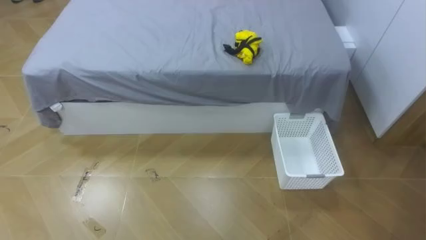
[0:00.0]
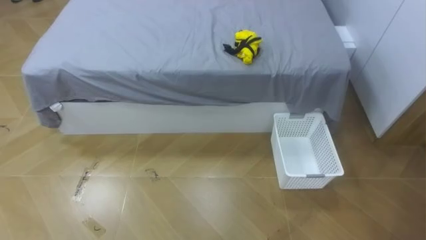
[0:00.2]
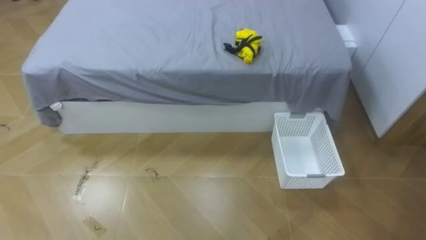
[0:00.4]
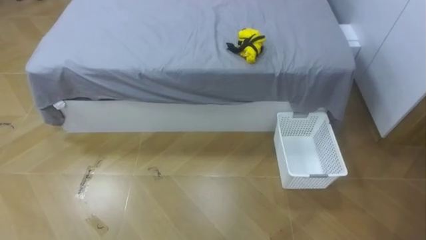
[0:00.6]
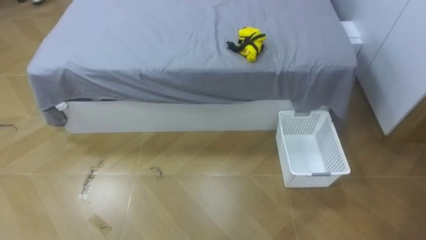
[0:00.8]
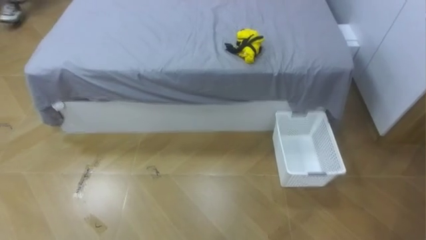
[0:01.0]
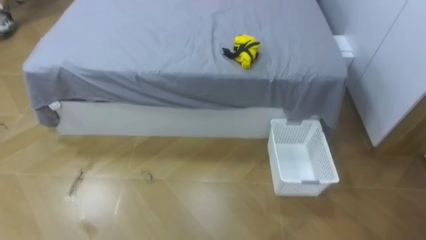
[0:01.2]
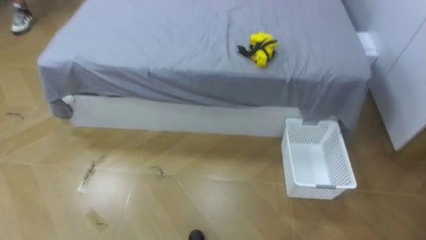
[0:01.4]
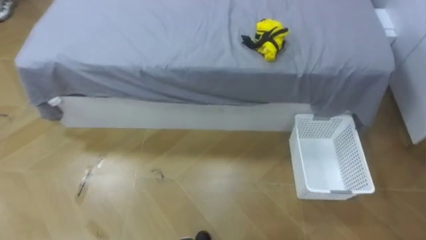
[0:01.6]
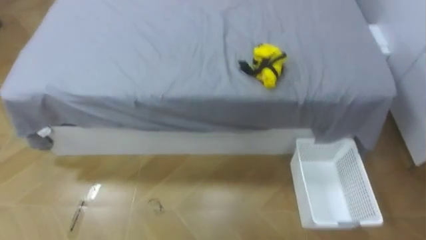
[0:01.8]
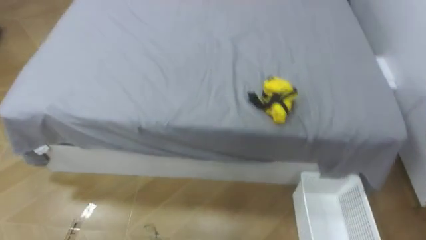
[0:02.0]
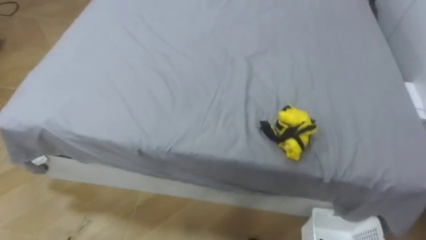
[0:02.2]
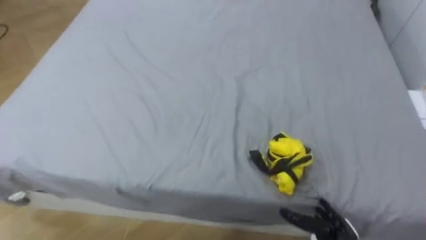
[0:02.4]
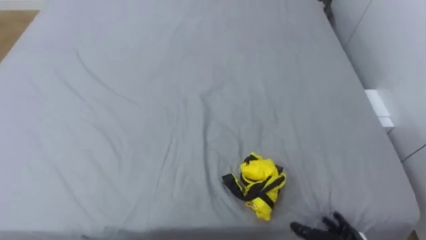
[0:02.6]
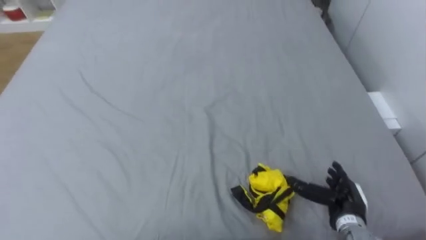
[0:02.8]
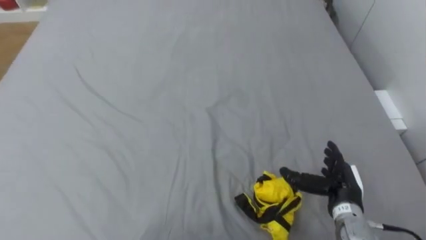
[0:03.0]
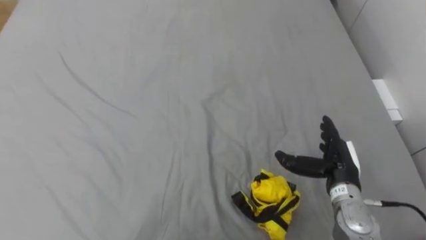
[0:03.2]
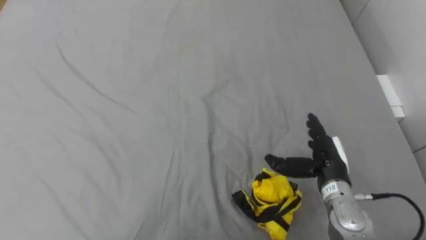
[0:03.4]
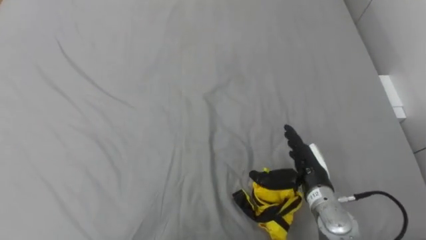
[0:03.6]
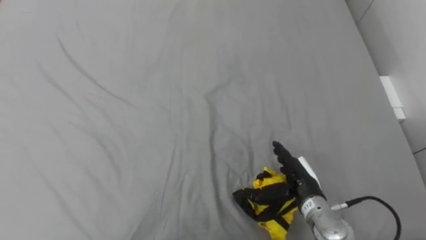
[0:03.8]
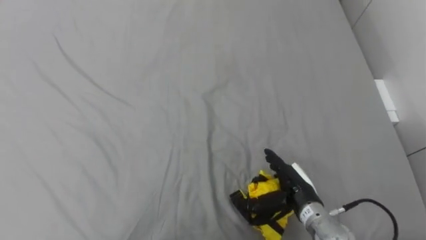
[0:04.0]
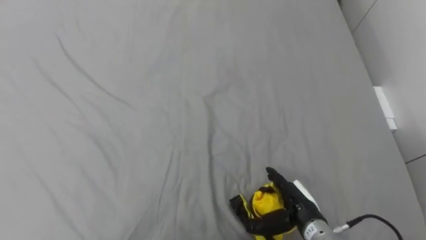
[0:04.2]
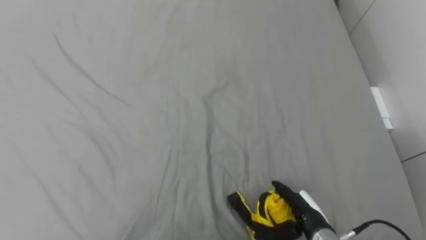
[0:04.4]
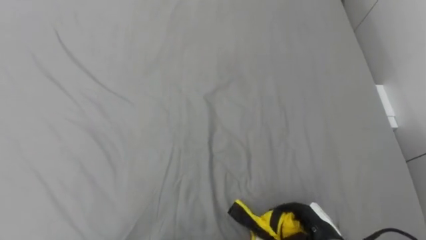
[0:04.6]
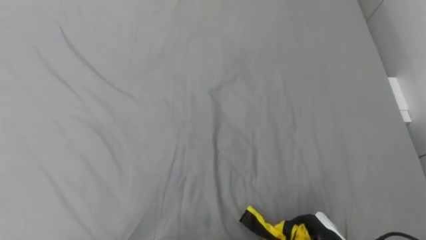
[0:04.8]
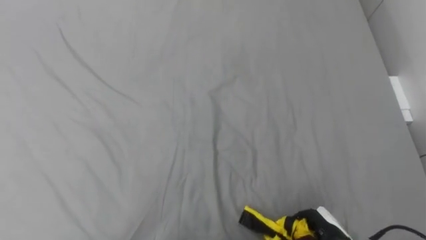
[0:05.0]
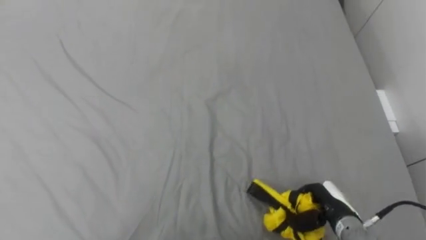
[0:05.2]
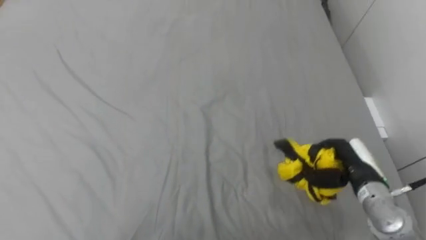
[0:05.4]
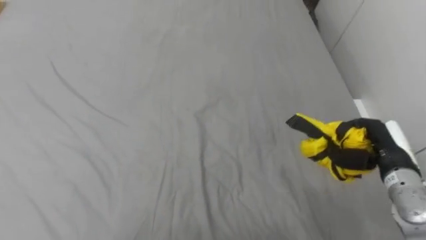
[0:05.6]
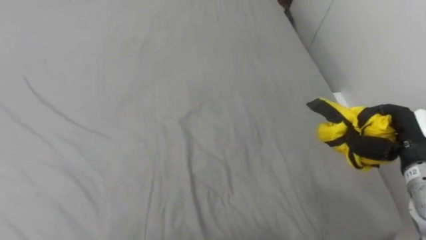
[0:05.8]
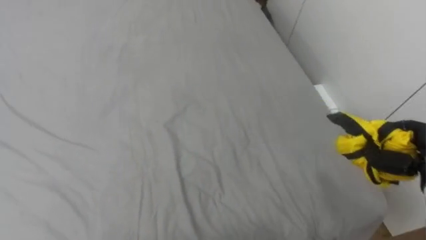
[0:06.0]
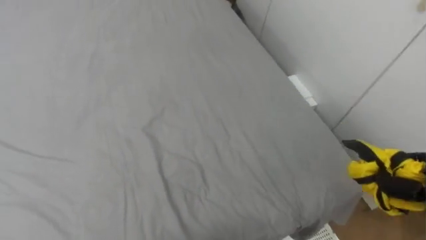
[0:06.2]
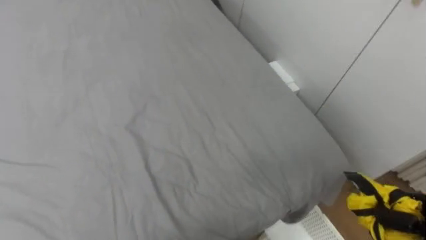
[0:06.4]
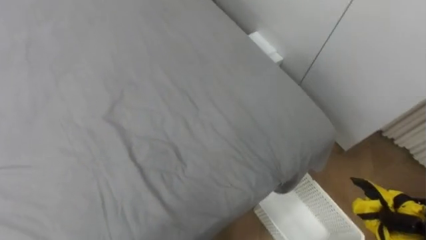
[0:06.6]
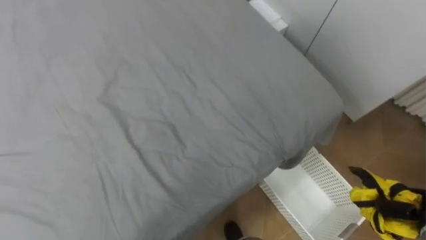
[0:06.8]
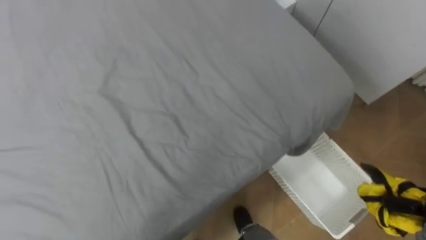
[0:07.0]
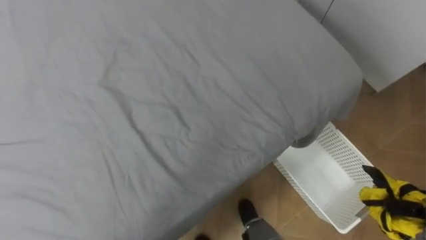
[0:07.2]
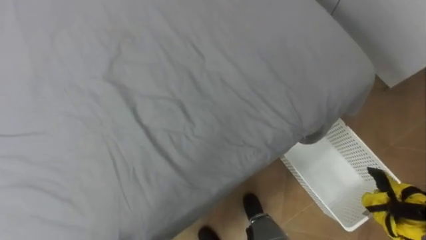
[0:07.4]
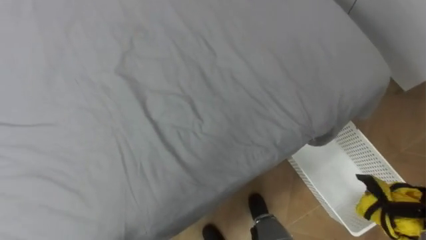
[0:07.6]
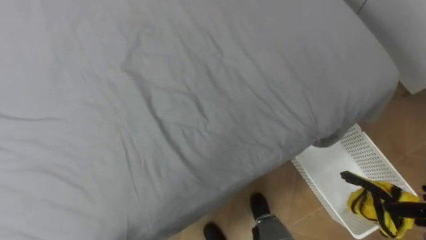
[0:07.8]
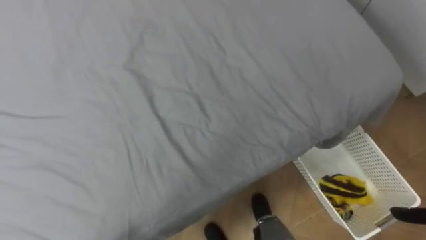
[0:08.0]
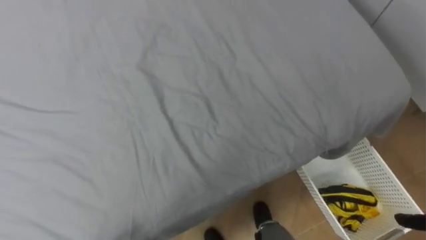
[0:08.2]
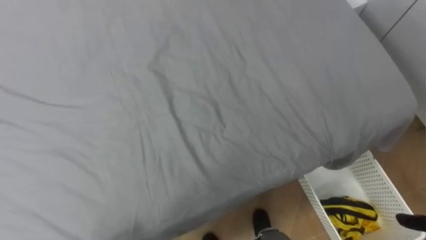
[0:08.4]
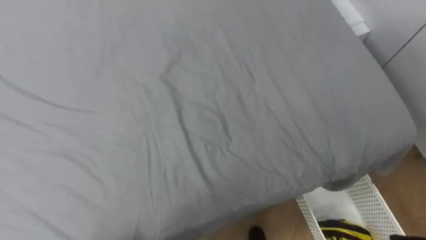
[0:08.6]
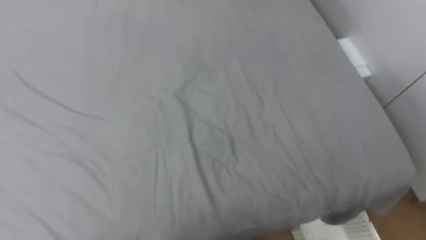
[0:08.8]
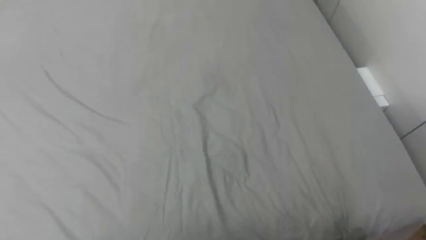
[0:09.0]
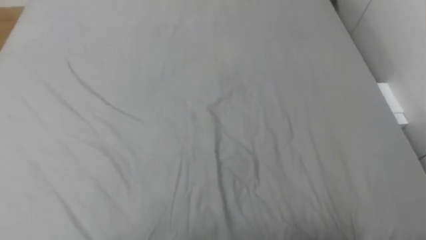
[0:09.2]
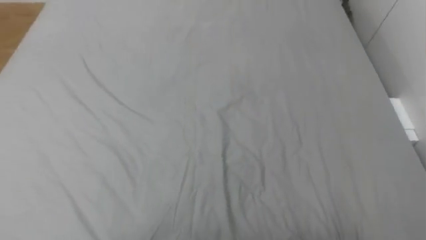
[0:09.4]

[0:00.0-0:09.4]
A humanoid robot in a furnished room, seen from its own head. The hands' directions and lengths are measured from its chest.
Task of the whole recording: Pick up the yellow clothes on the bed and place them into the white basket on the right.
0:07.8 to 0:09.4: The robot turns to its left by approximately 20 degrees.

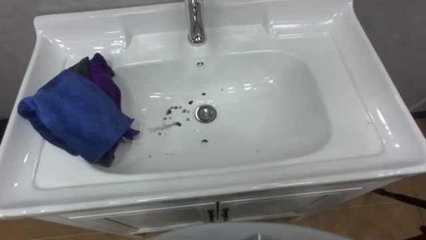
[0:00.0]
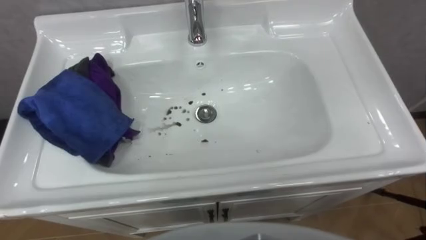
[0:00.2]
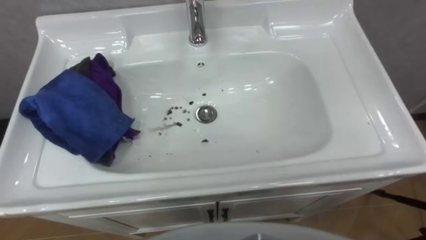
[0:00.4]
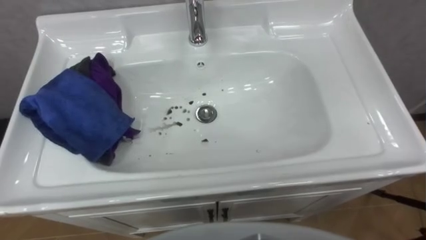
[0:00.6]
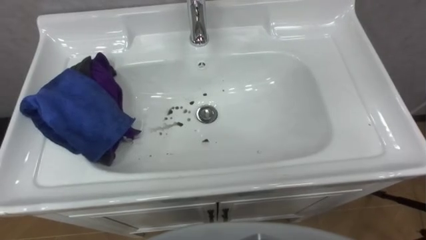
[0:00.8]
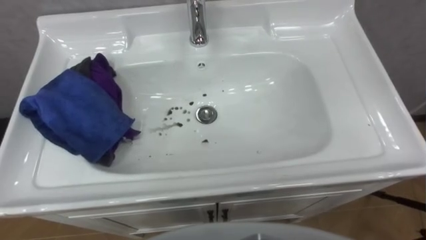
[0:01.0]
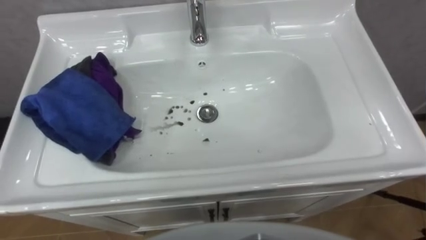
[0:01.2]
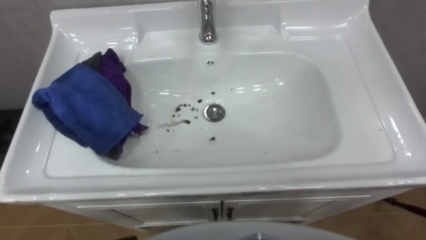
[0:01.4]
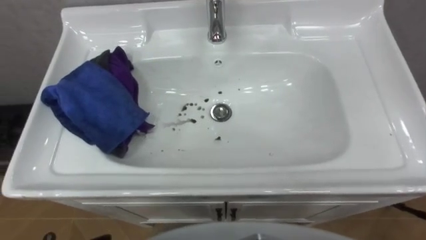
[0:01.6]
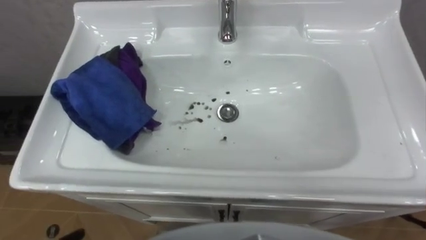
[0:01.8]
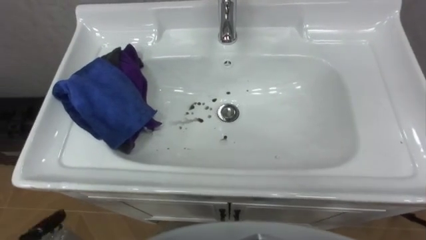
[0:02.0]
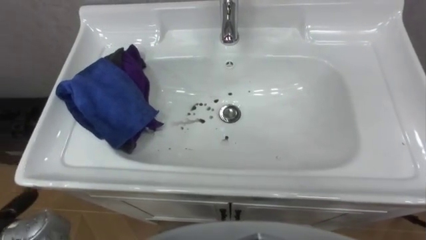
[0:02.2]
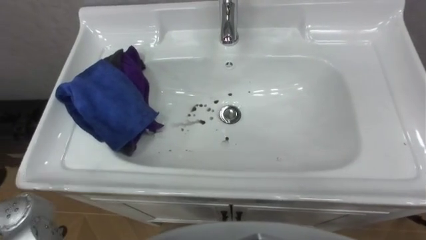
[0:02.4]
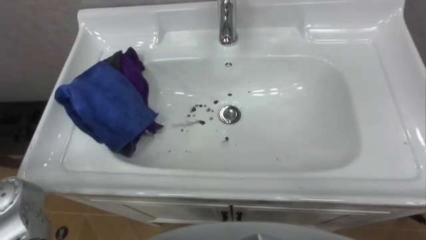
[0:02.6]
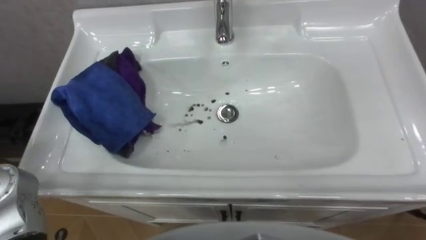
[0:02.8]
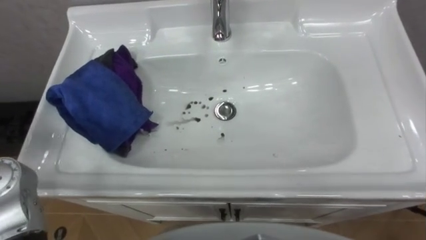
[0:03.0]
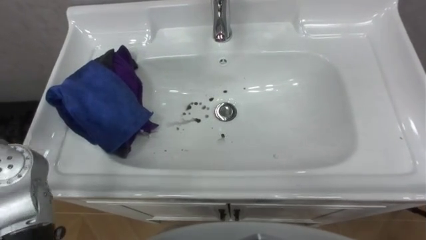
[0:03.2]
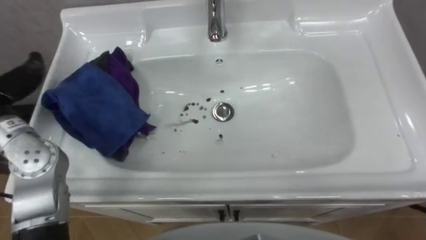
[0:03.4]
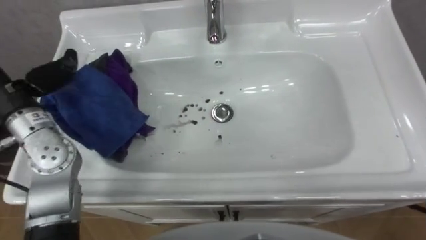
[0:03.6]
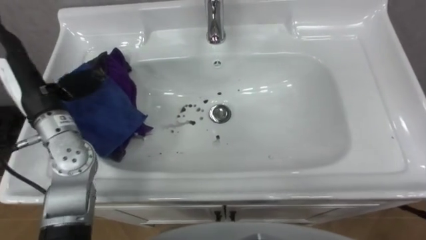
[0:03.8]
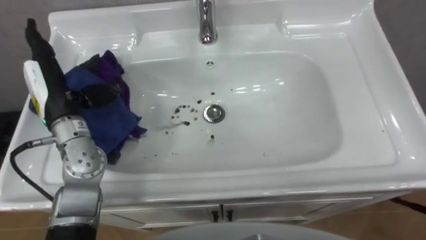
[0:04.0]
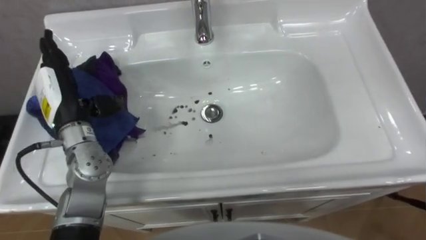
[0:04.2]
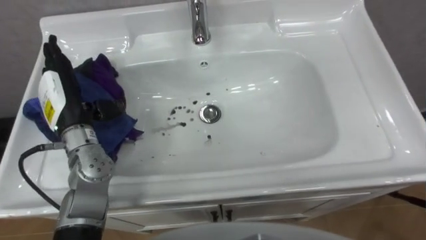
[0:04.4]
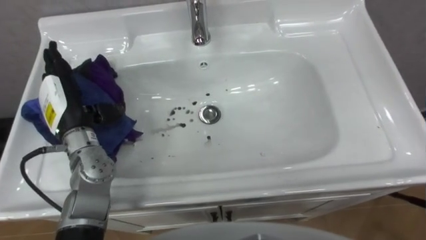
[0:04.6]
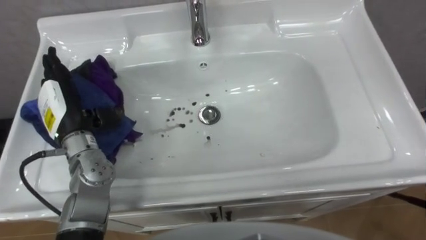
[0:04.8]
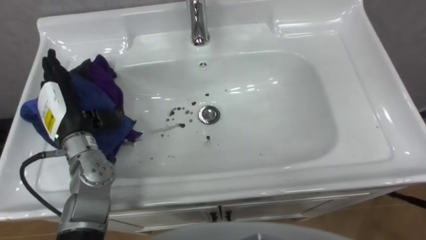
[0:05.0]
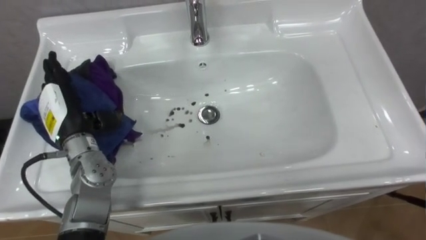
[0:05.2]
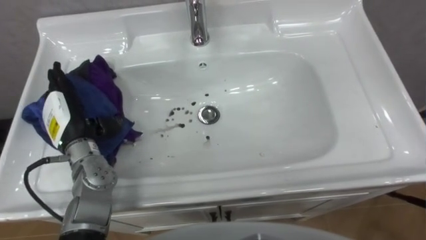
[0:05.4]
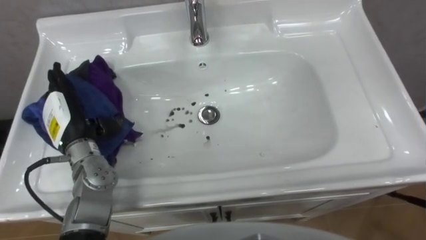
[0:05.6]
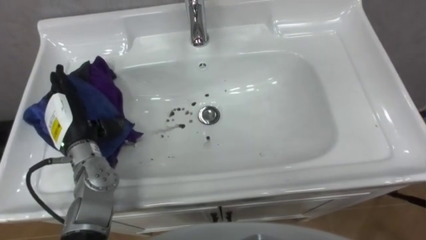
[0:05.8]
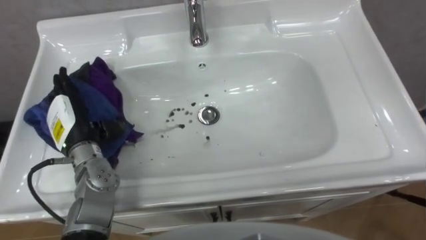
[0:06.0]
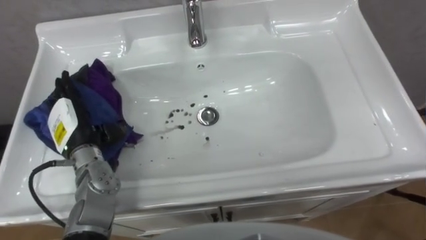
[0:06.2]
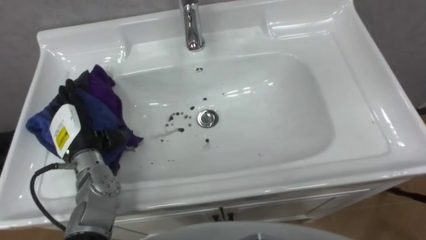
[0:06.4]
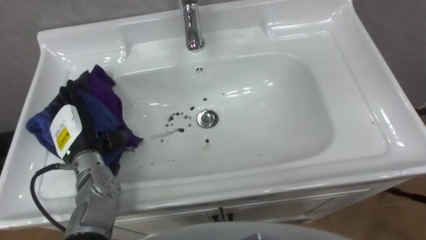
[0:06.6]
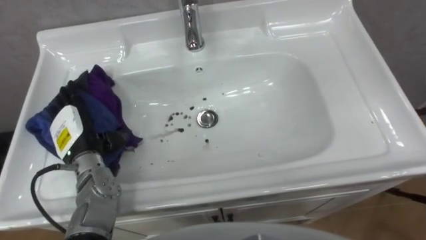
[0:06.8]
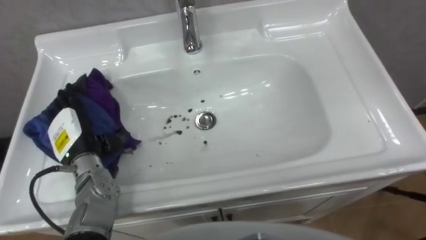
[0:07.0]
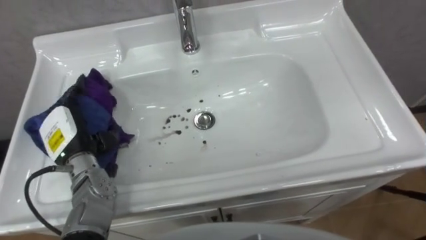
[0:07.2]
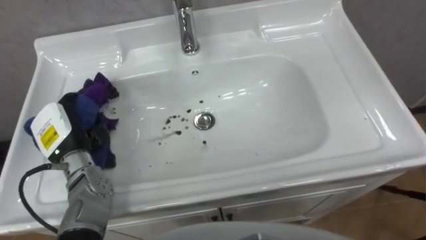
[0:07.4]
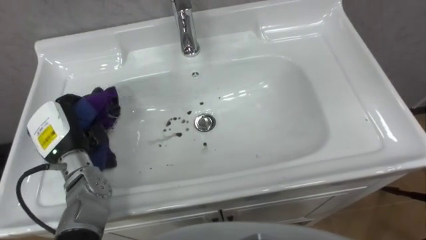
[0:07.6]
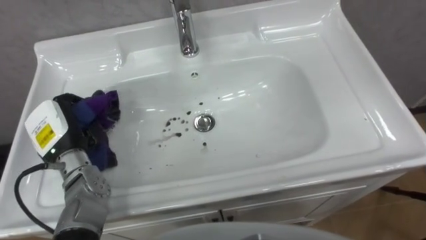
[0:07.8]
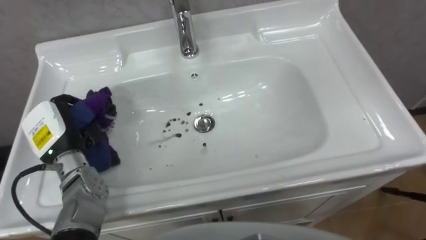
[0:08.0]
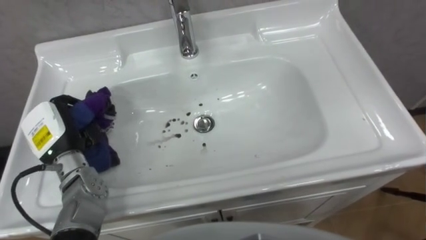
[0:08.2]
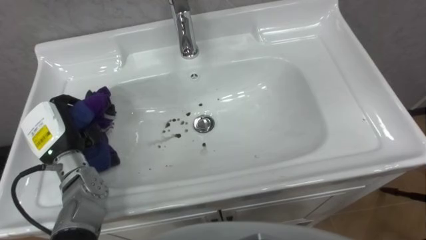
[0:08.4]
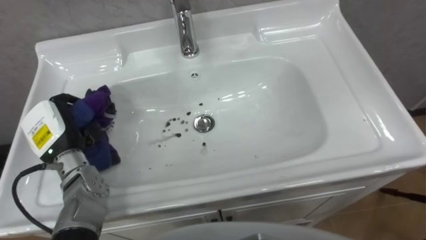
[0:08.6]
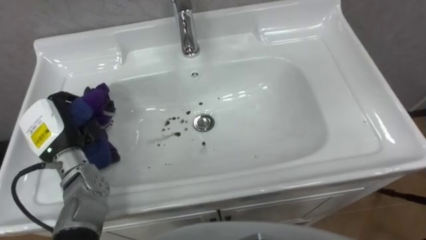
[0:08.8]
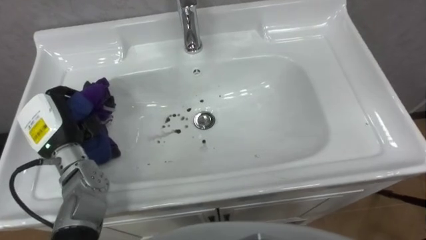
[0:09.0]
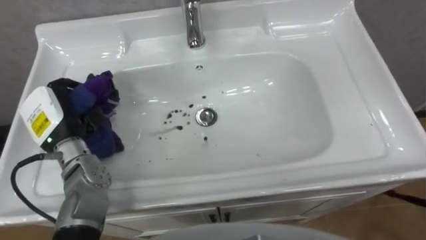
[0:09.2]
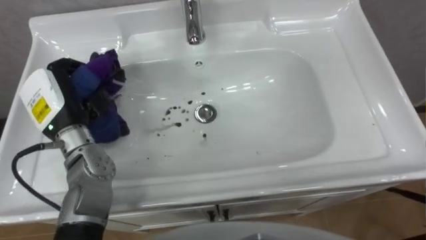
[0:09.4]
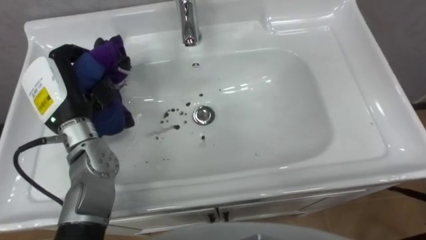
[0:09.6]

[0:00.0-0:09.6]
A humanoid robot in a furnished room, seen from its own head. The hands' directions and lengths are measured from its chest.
Task of the whole recording: Use the cloth on the right to wipe away the black stain in the sink.
0:04.8 to 0:06.4: The left hand heads downward, covering approximately 5 cm.
0:06.4 to 0:08.0: The left hand closes its fingers.
0:08.0 to 0:09.6: The left hand is displaced upward by roughly 10 cm.
